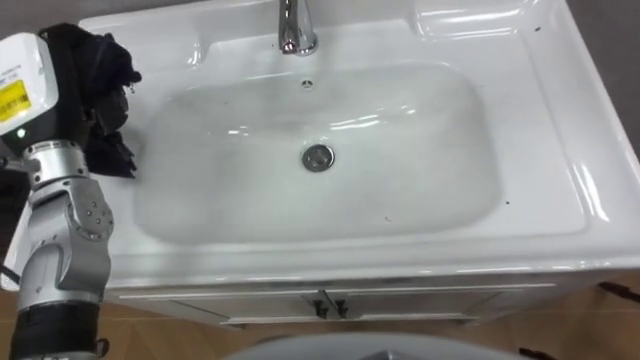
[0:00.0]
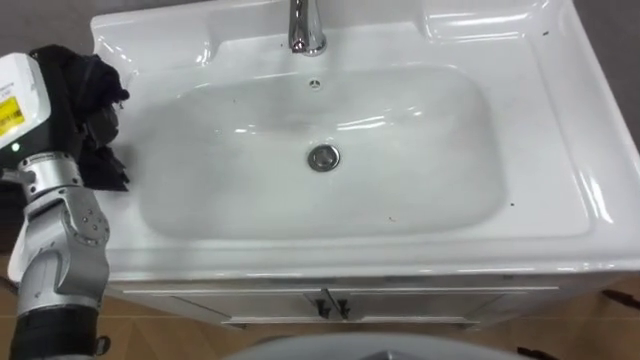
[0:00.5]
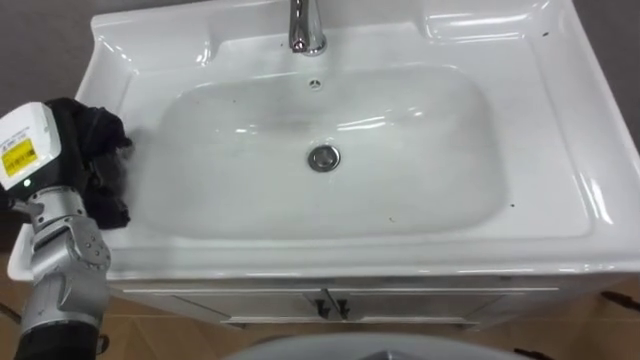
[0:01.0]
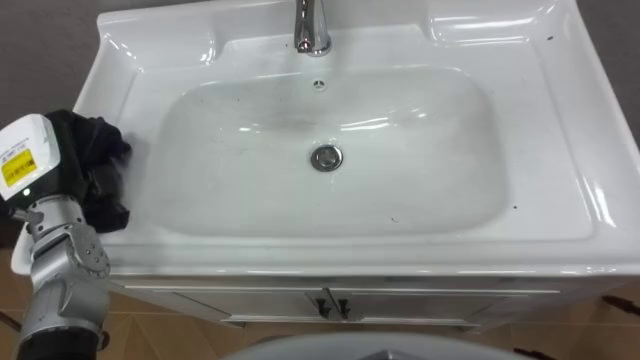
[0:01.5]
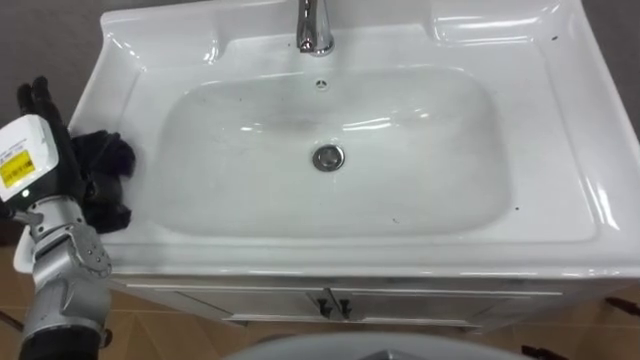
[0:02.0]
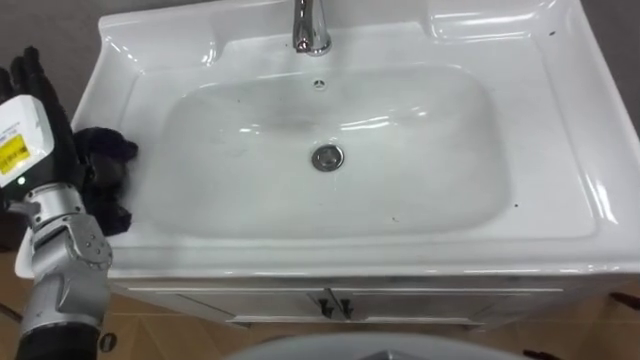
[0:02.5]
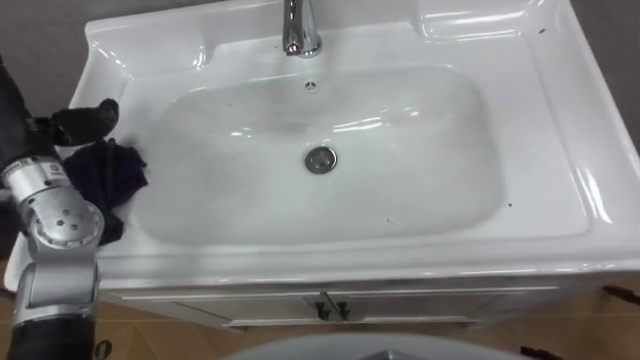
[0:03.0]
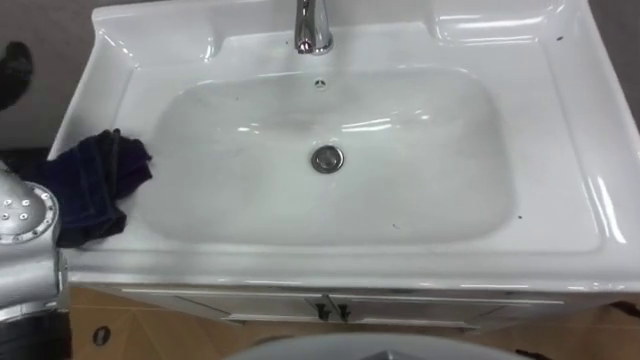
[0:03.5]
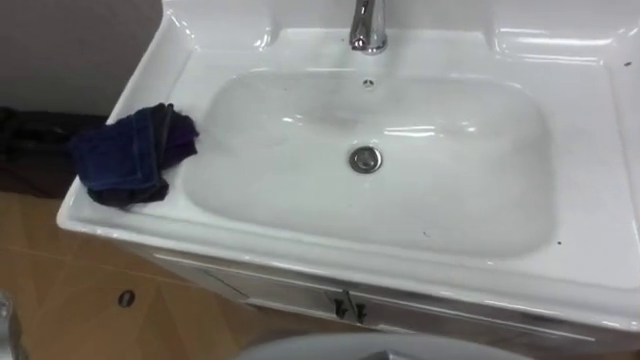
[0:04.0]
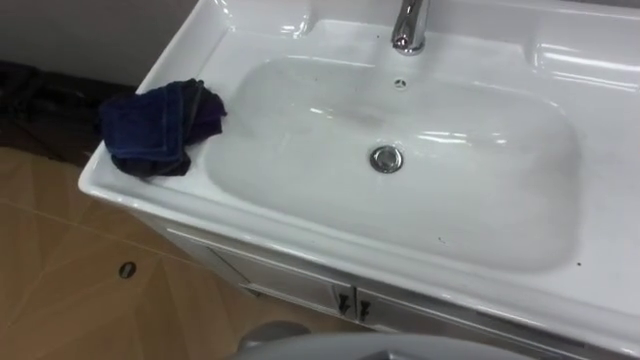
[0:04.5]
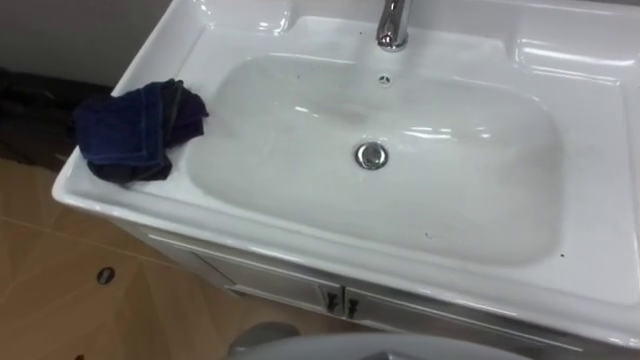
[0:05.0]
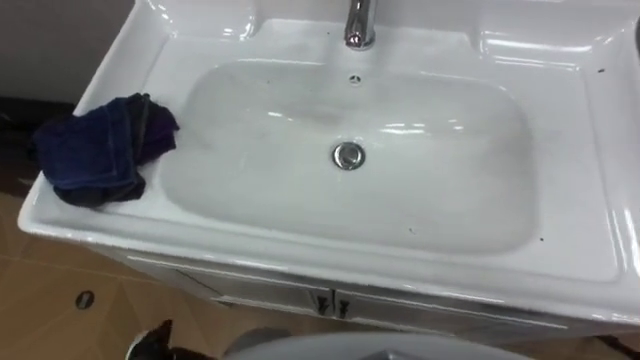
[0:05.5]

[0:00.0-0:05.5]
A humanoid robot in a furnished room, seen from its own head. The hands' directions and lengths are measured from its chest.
Task of the whole recording: Use the cloth on the right to wipe away the black stain in the sink.
0:00.0 to 0:02.0: The left hand is displaced downward by roughly 10 cm, and opens up.

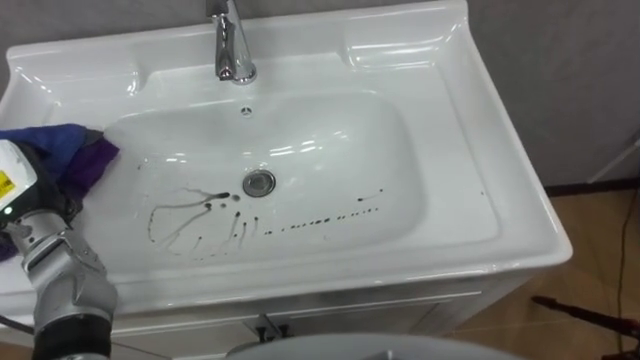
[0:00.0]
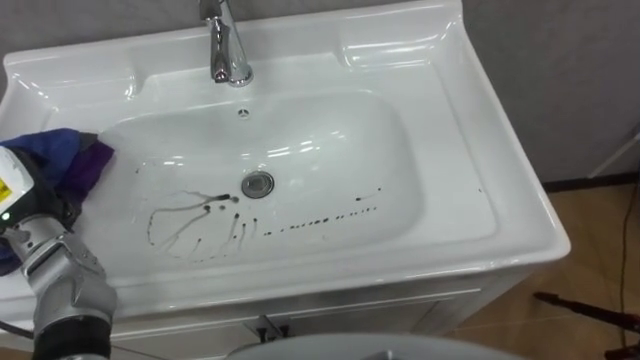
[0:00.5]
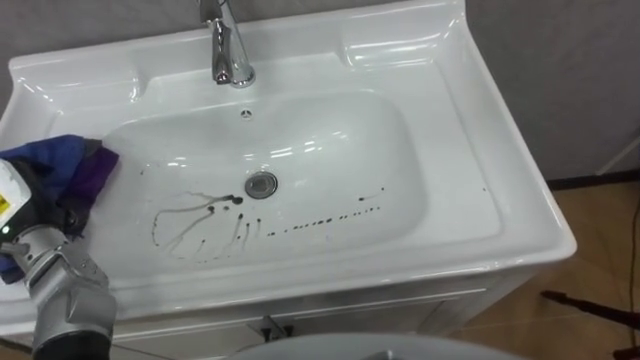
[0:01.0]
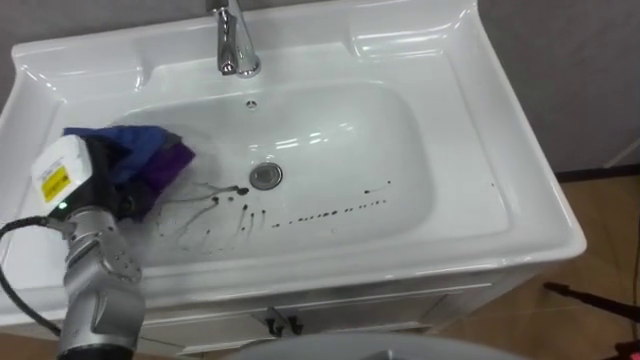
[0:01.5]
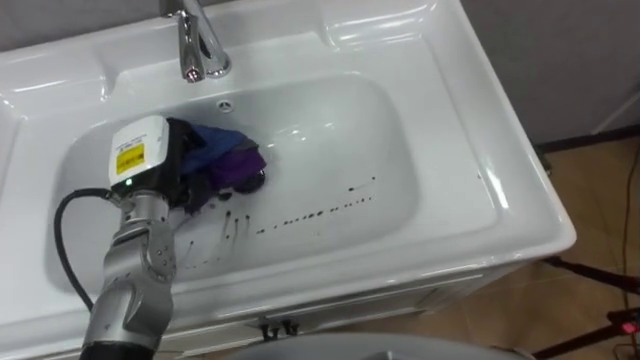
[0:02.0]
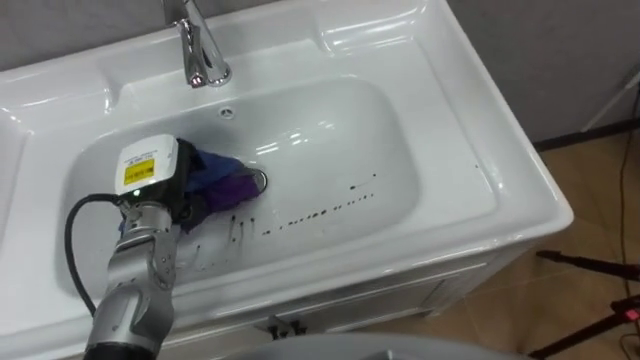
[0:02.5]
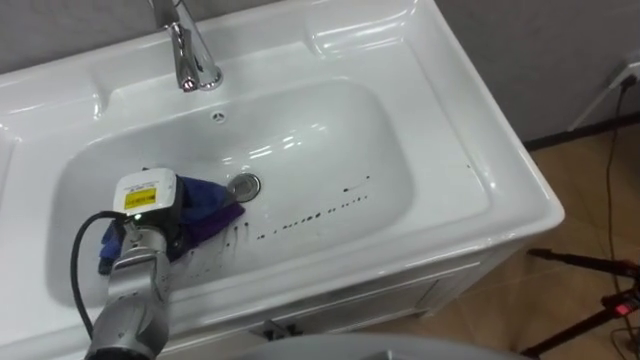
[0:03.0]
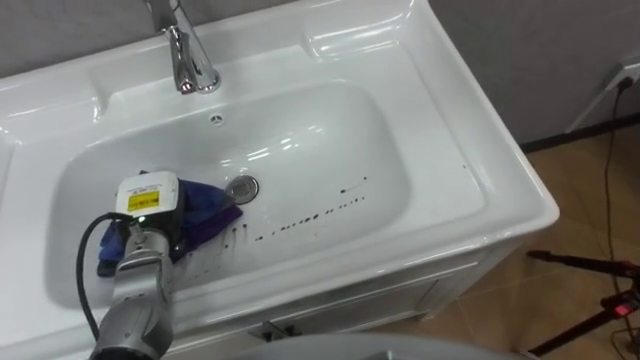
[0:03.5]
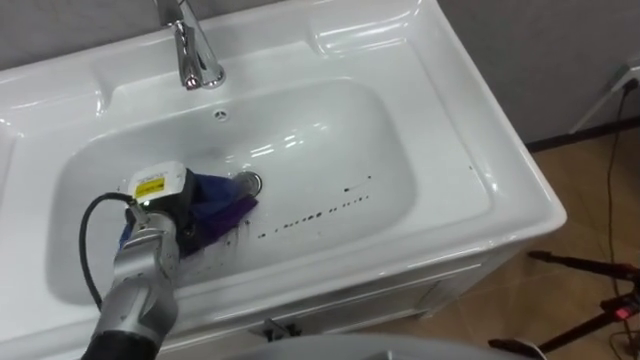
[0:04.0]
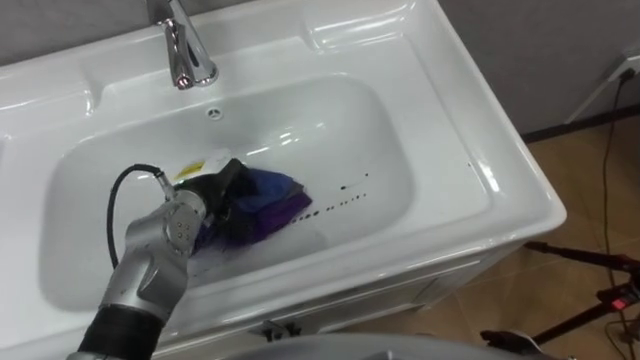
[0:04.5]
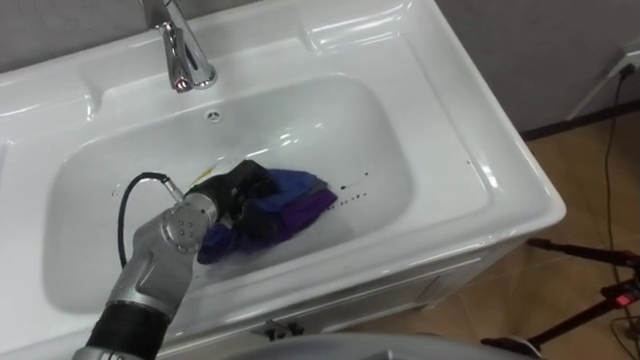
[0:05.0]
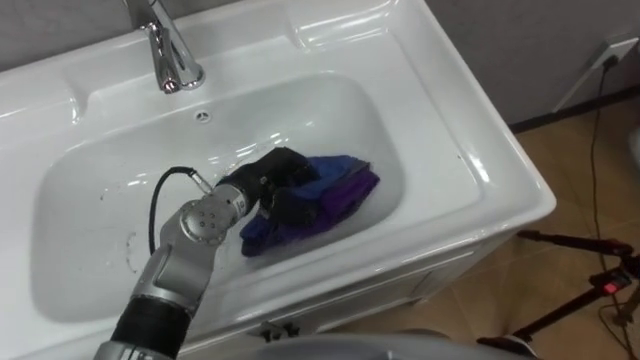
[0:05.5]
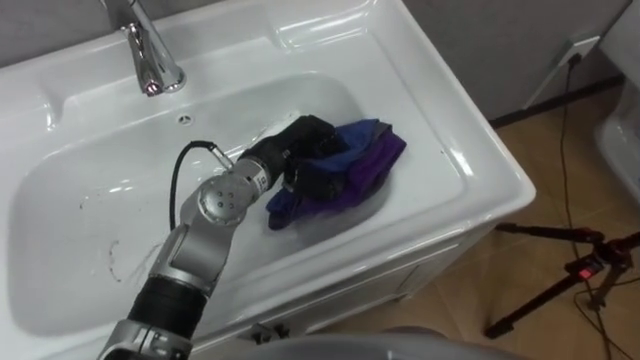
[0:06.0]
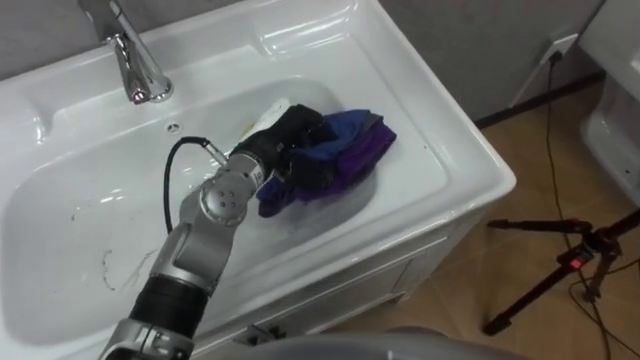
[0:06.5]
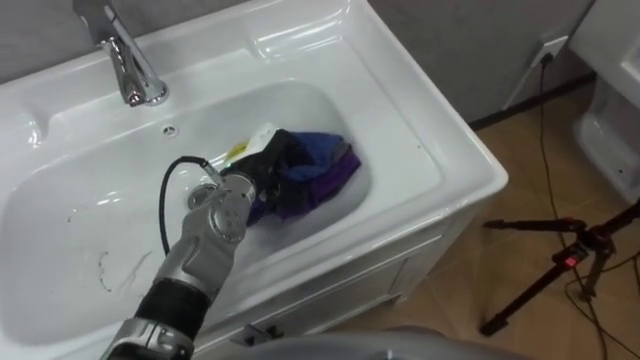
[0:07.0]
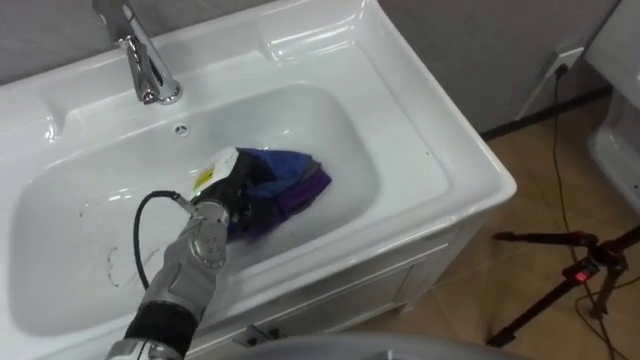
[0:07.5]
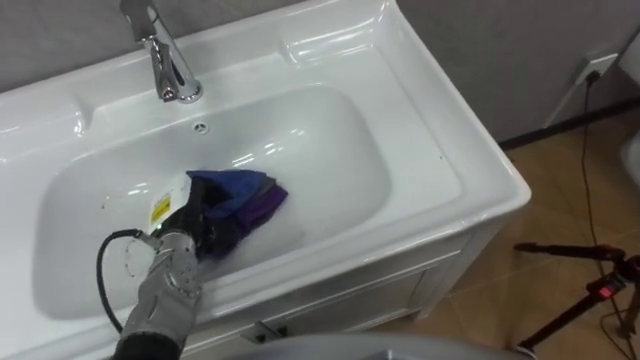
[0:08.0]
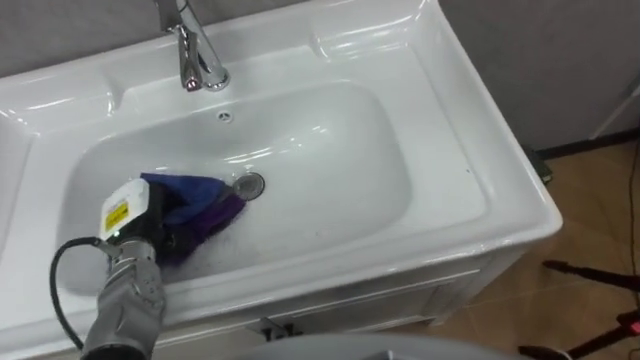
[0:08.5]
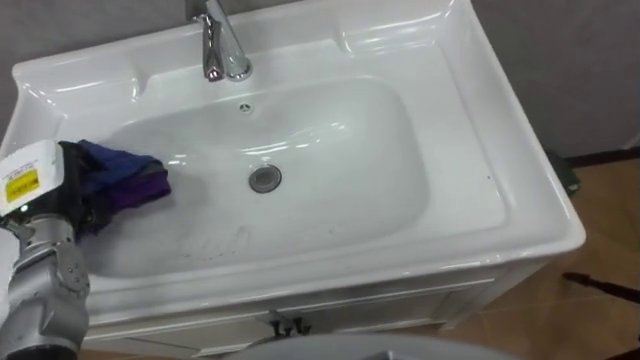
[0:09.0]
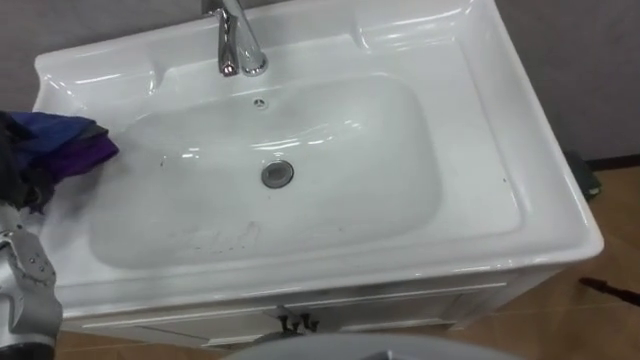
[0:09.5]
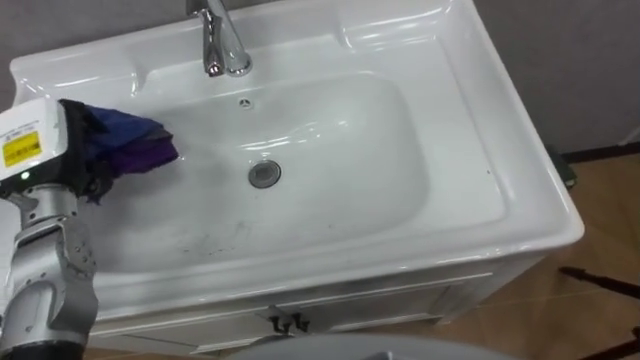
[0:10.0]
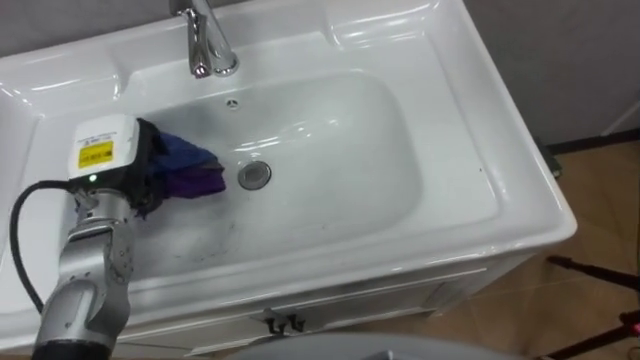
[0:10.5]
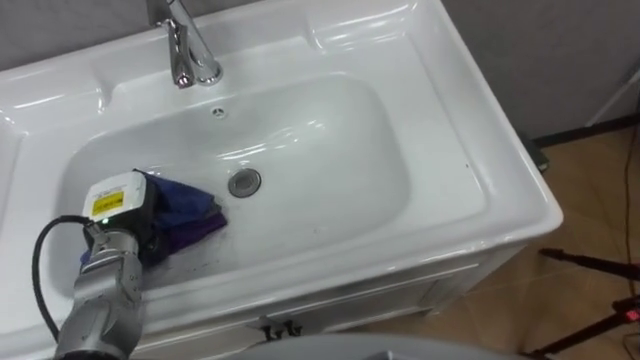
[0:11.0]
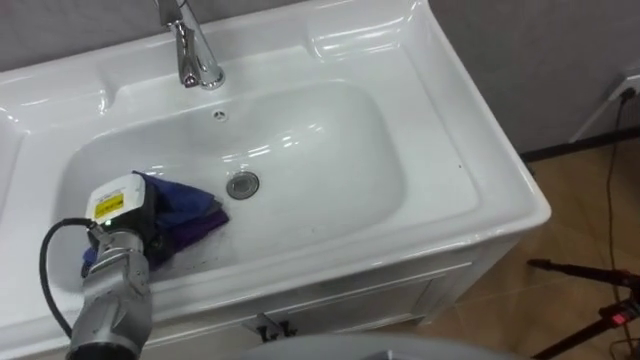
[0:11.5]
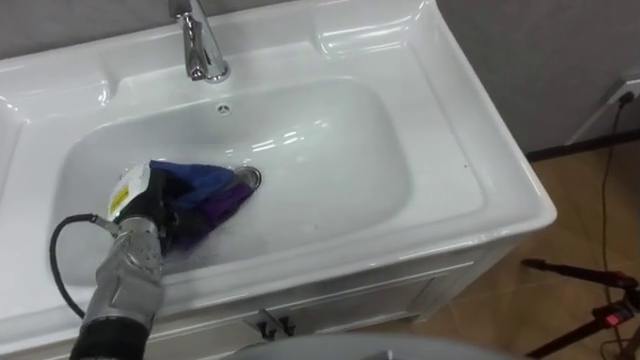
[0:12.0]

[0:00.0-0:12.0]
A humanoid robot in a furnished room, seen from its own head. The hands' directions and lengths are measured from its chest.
Task of the whole recording: Use the cloth on the right to wipe away the black stain in the sink.
0:02.0 to 0:04.0: The left hand heads downward, covering some 5 cm.
0:04.0 to 0:06.0: The left hand travels to the right by approximately 15 cm.
0:06.0 to 0:08.0: The left hand moves to the left, downward and backward, roughly 20 cm.
0:10.0 to 0:12.0: The left hand heads downward and to the right, covering roughly 15 cm.

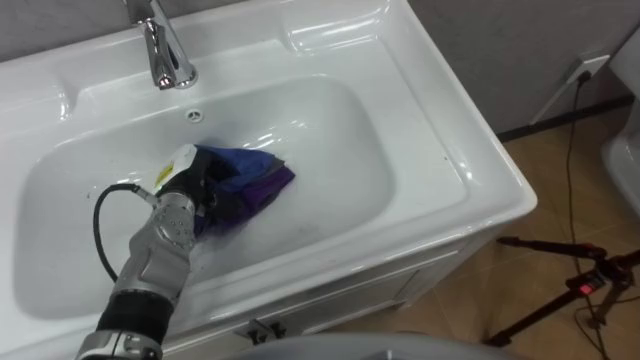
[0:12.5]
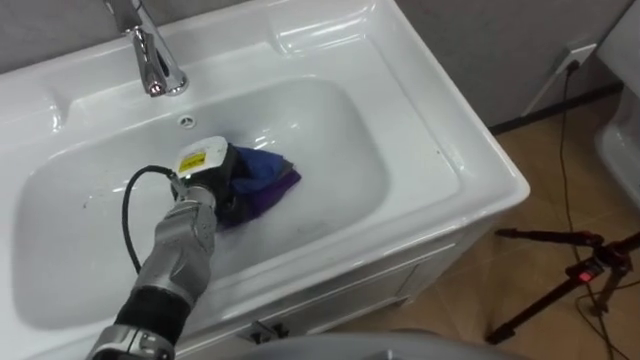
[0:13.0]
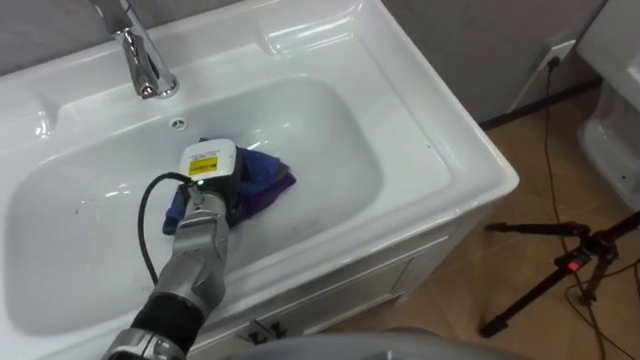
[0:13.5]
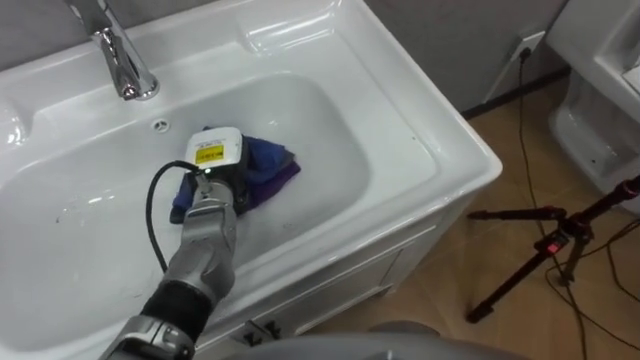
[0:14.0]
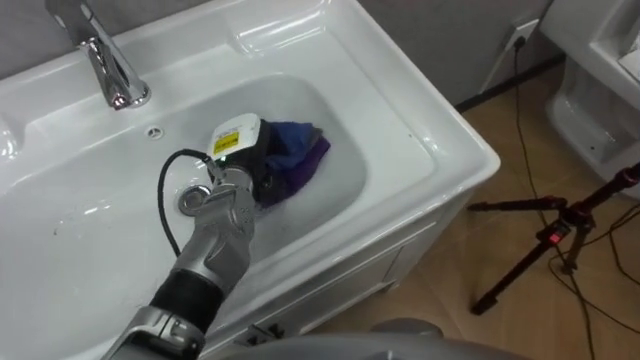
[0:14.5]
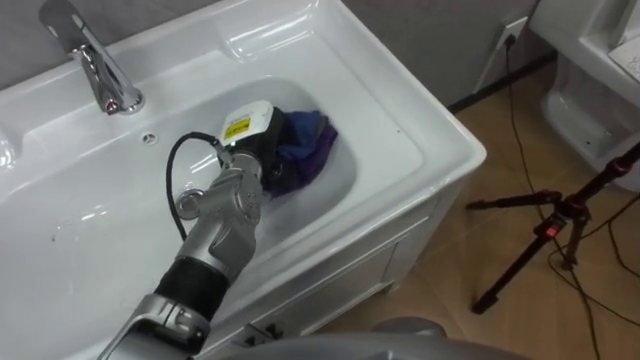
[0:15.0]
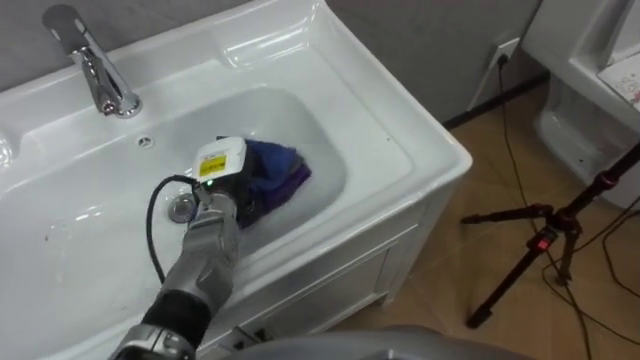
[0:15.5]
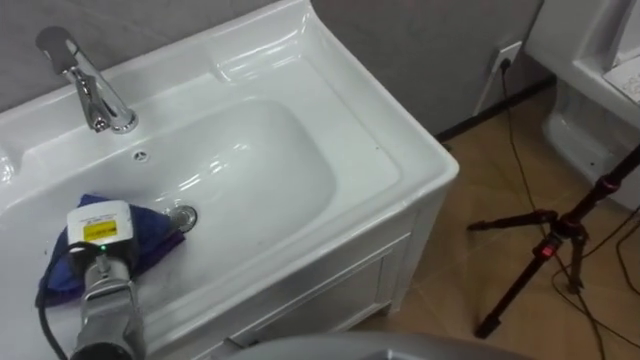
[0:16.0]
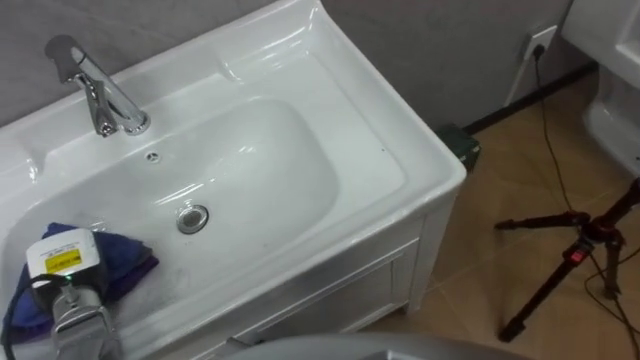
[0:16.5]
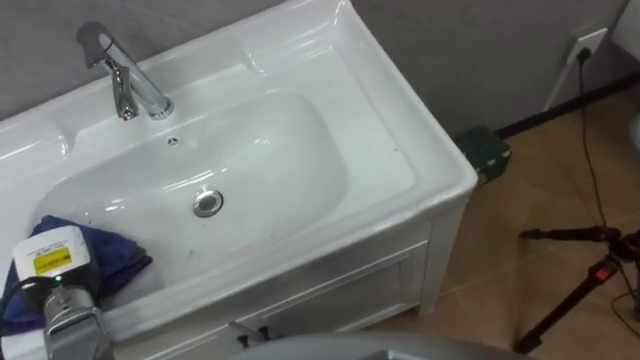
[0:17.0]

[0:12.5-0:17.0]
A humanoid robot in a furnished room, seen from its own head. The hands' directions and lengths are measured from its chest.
Task of the whole recording: Use the cloth on the right to wipe away the black stain in the sink.
0:12.5 to 0:14.5: The left hand is displaced to the right by approximately 10 cm.
0:14.5 to 0:17.0: The left hand goes about 30 cm to the left and backward.
